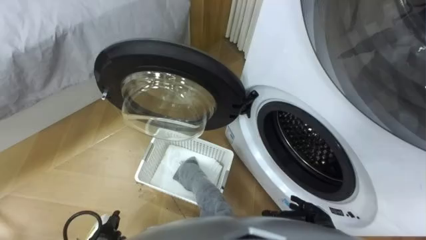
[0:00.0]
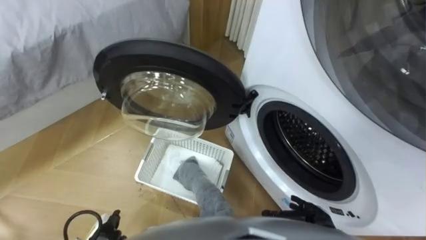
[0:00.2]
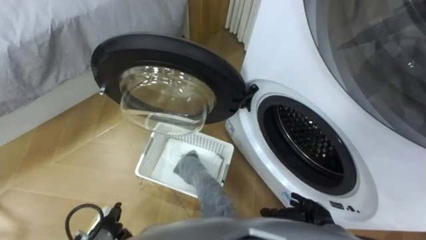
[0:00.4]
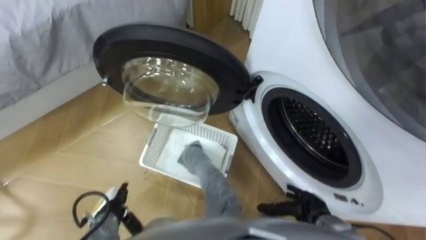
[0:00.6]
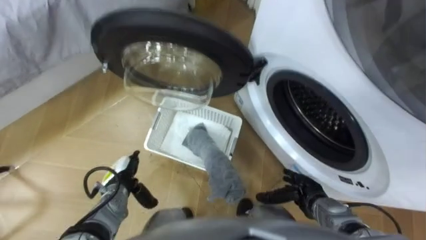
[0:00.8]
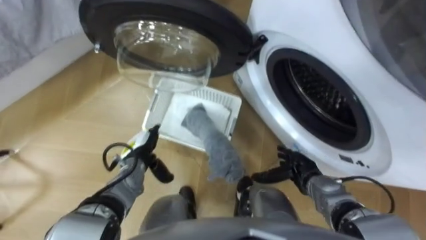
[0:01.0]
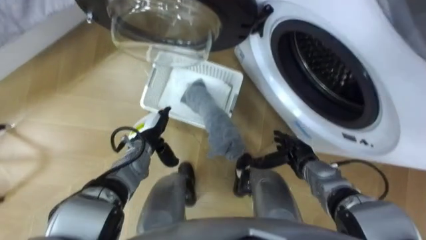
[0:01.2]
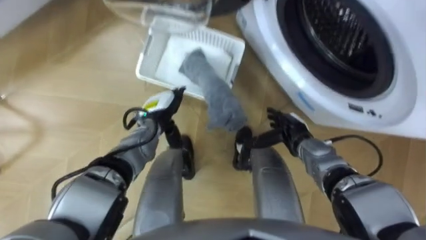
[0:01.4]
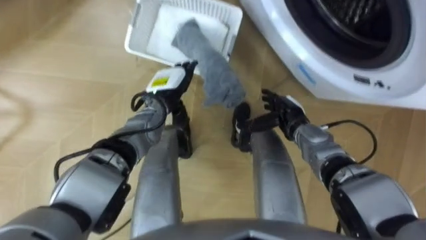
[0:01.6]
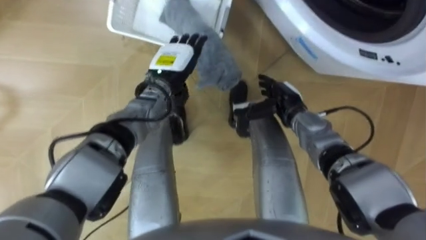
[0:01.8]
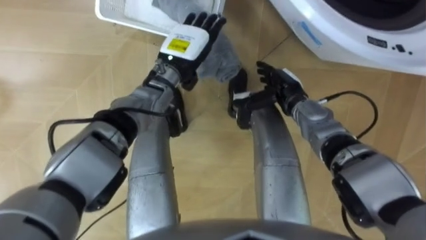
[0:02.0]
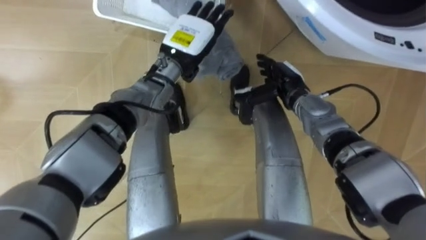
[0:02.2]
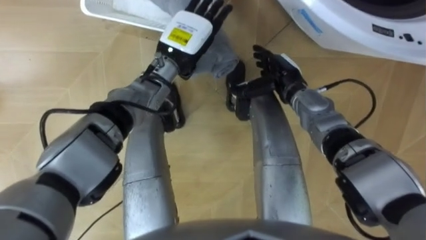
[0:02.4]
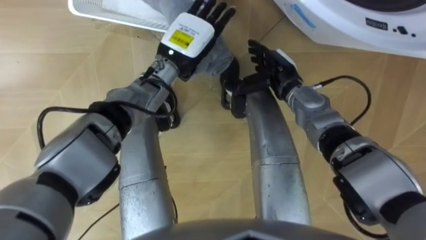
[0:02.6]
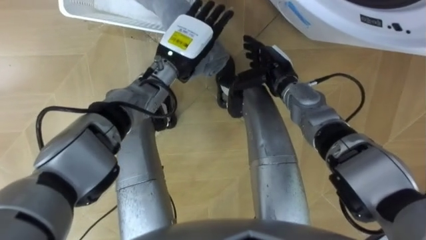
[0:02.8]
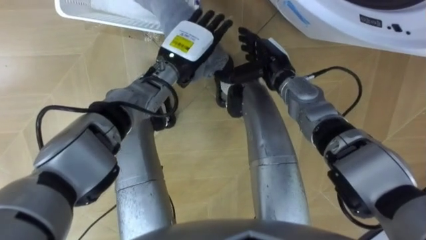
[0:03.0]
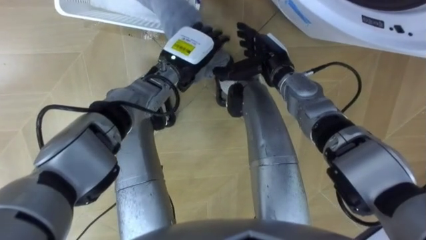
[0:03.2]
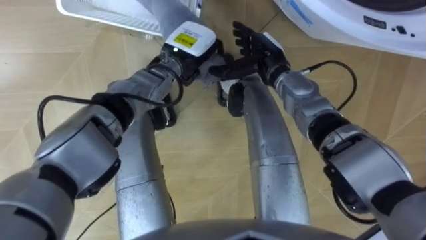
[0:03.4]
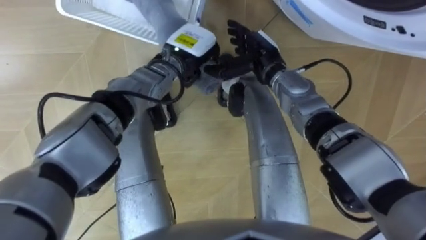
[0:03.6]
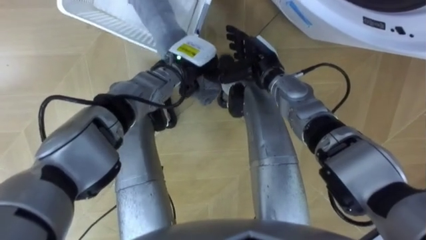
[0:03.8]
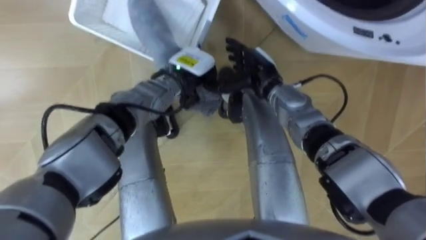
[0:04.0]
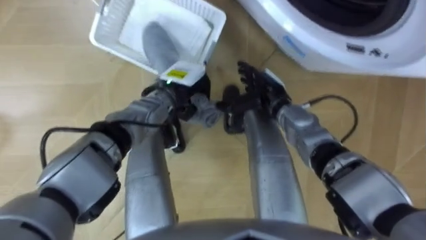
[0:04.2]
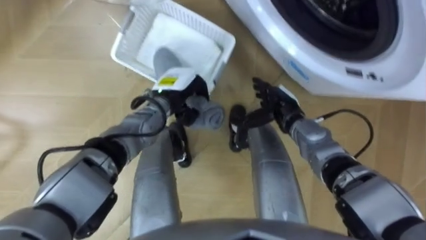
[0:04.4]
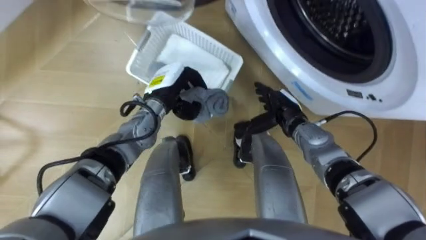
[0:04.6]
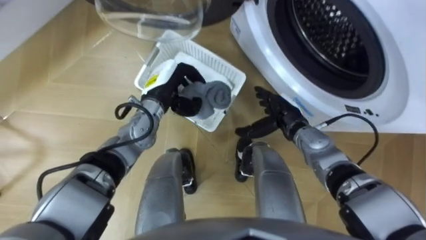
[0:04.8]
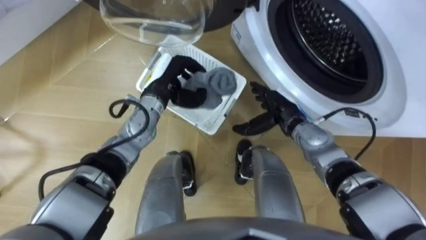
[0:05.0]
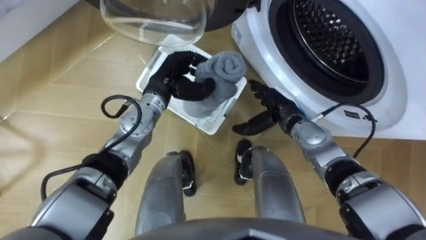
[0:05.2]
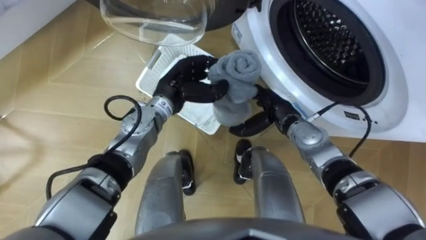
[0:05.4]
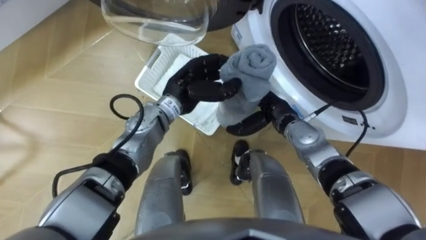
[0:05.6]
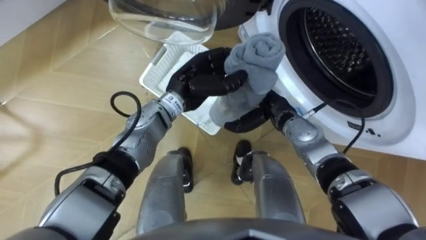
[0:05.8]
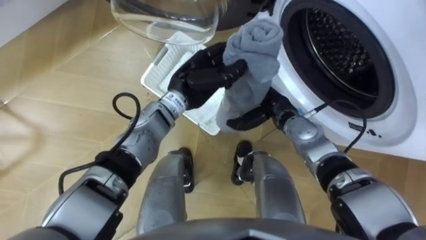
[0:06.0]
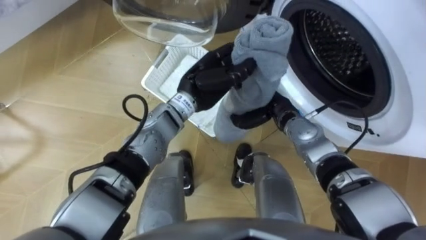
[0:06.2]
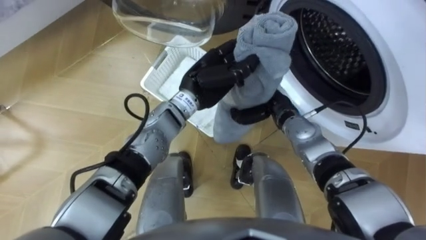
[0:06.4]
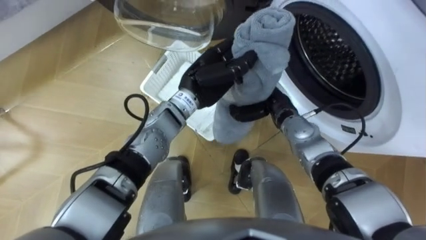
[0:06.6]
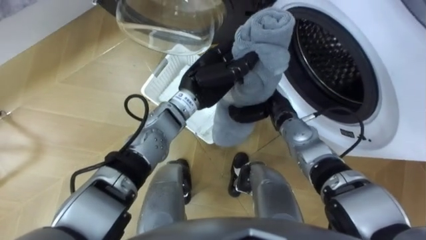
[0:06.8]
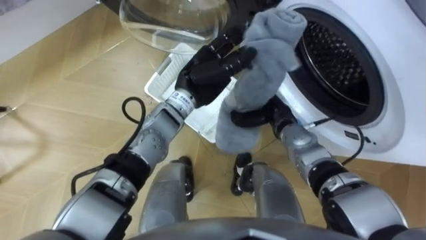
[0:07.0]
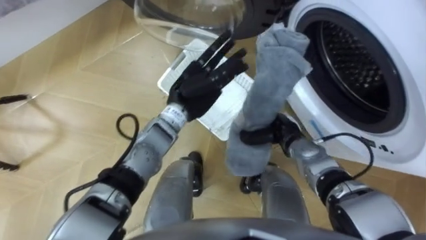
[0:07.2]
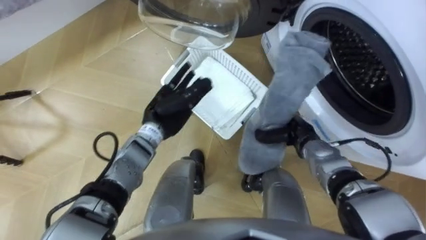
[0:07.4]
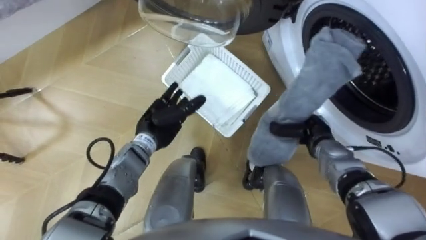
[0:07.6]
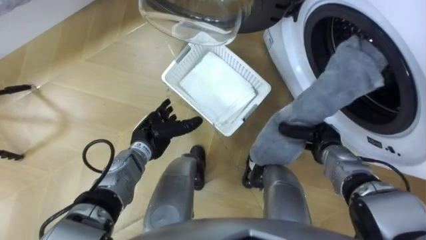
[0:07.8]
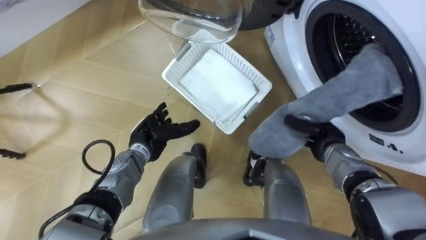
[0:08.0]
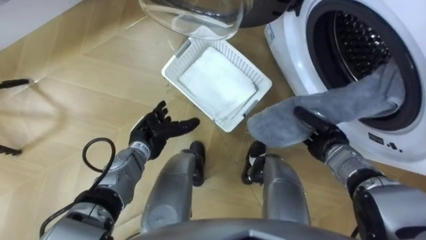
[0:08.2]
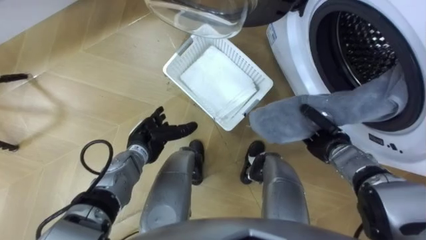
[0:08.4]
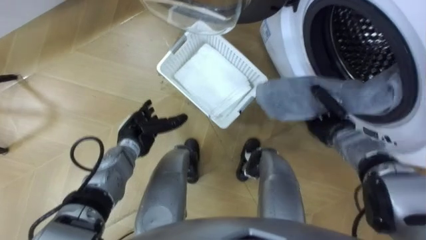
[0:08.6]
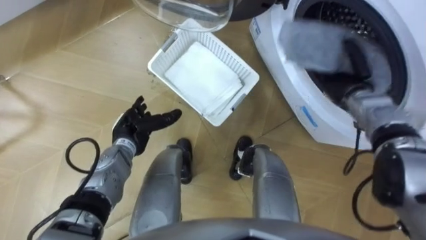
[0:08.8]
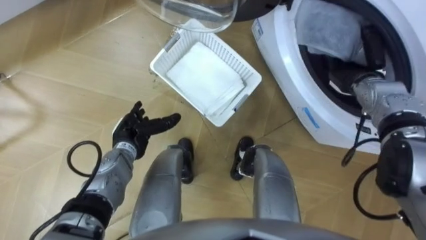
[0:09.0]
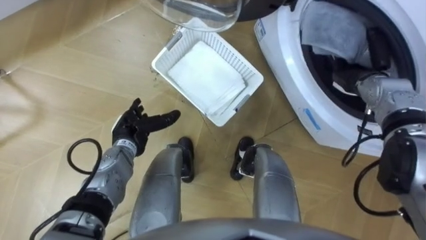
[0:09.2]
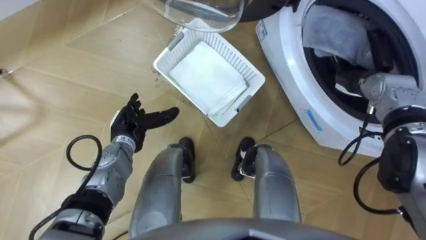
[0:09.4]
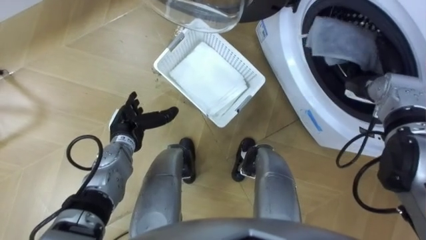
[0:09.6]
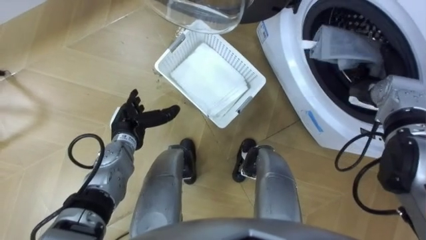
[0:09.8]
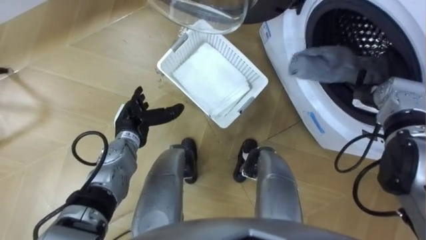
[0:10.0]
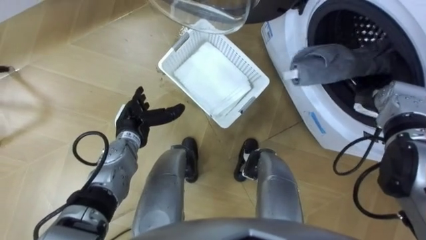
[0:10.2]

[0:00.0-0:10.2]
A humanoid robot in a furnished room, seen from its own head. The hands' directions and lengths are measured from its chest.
Task of the whole recording: Take the towel from the basket and put it into the washing machine.
0:01.4 to 0:03.0: The left hand is displaced upward, forward and to the right by approximately 15 cm. The right hand heads upward, forward and to the left, covering about 15 cm.
0:03.0 to 0:04.4: The right hand goes about 10 cm downward and backward, while the left hand shifts approximately 5 cm downward, and closes up.
0:04.4 to 0:05.8: The left hand moves upward, roughly 5 cm.
0:05.8 to 0:07.2: The right hand shifts approximately 5 cm downward, and closes its fingers. Meanwhile the left hand opens up.
0:07.2 to 0:08.8: The left hand shifts about 15 cm to the left and downward, while the right hand shifts about 15 cm to the right, forward and upward.
0:08.8 to 0:10.2: The right hand shifts approximately 5 cm to the right, and opens up.

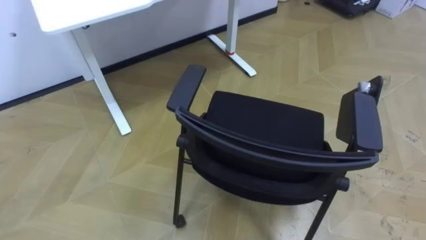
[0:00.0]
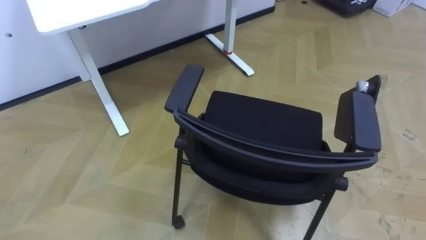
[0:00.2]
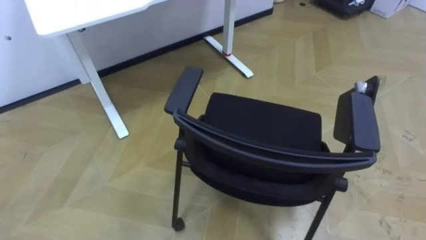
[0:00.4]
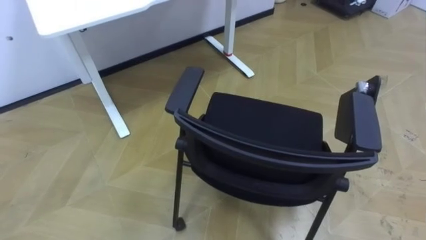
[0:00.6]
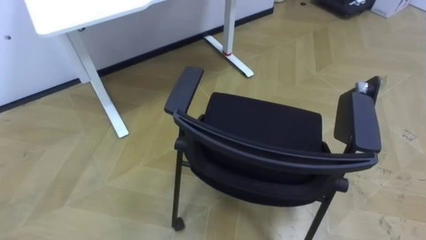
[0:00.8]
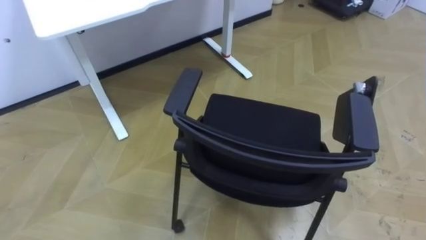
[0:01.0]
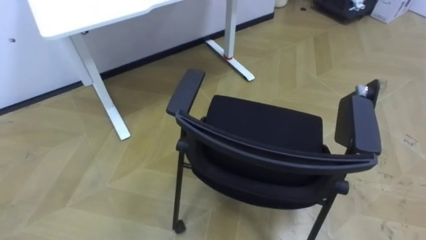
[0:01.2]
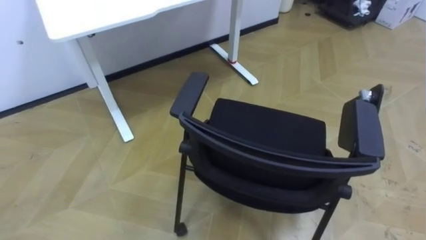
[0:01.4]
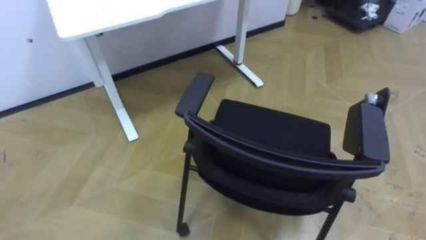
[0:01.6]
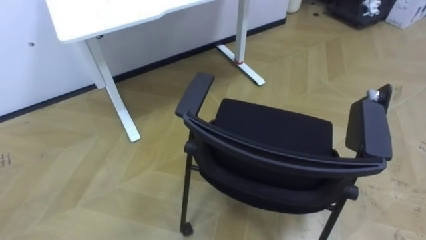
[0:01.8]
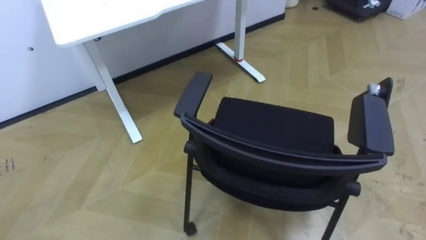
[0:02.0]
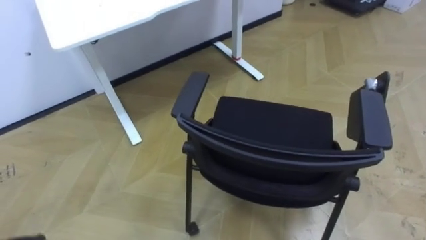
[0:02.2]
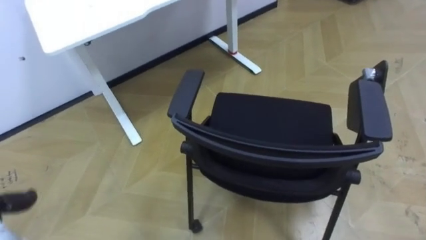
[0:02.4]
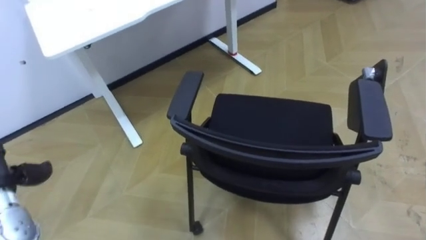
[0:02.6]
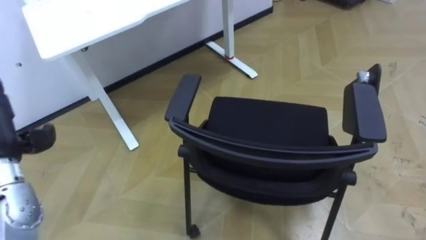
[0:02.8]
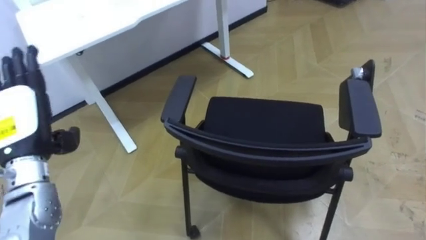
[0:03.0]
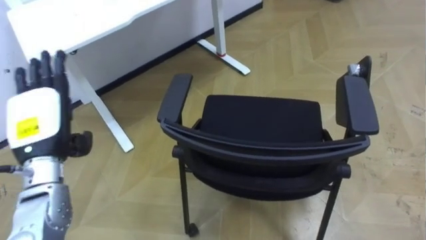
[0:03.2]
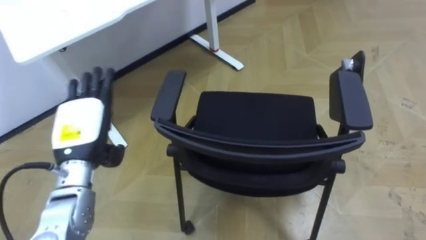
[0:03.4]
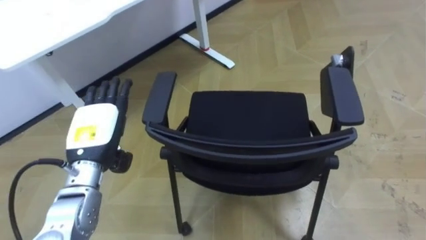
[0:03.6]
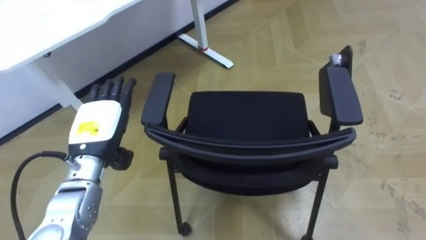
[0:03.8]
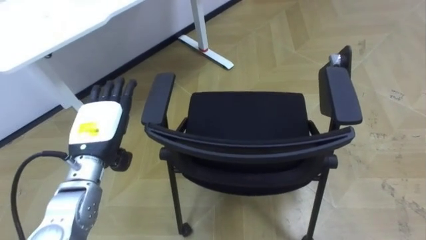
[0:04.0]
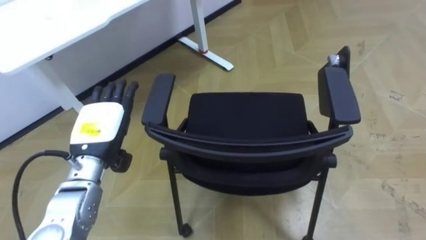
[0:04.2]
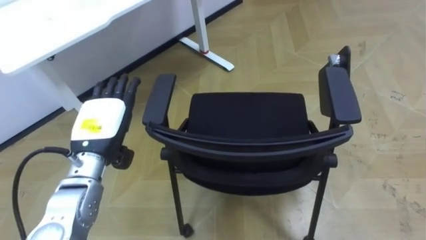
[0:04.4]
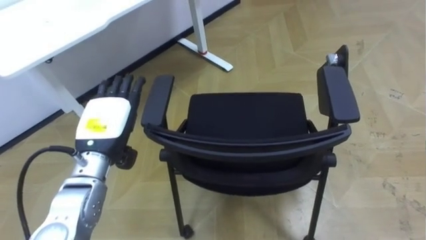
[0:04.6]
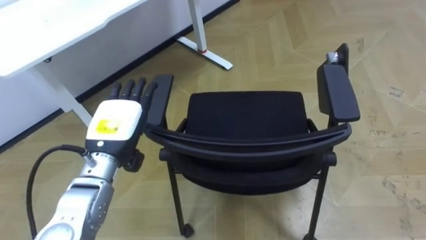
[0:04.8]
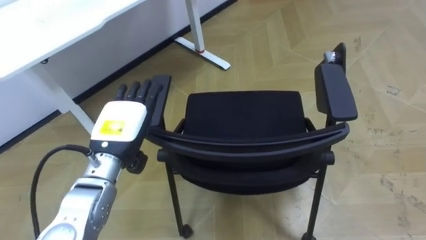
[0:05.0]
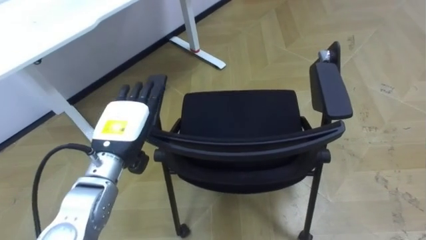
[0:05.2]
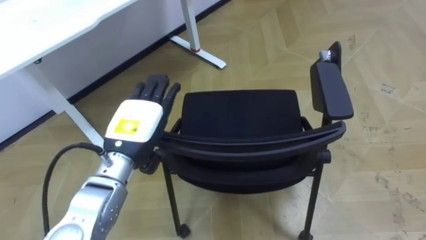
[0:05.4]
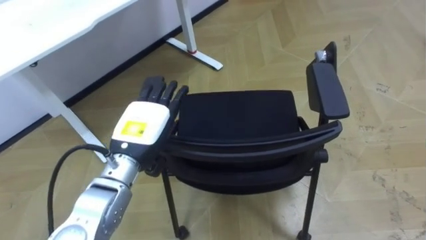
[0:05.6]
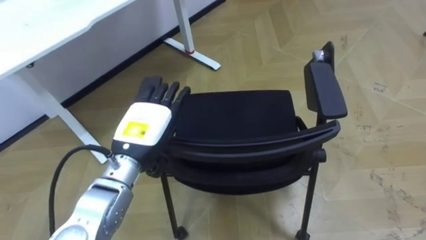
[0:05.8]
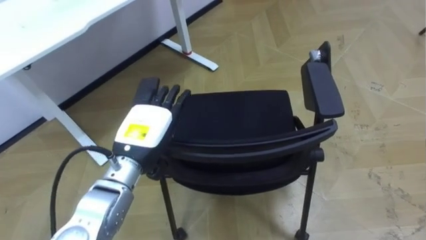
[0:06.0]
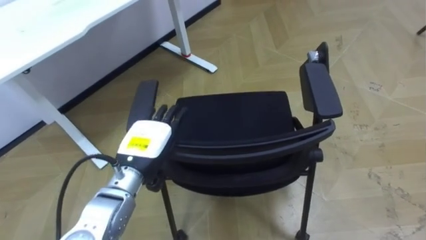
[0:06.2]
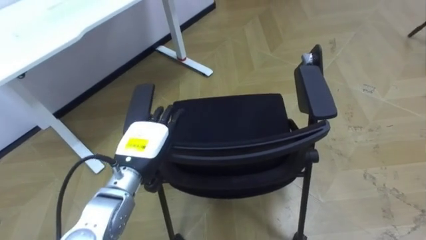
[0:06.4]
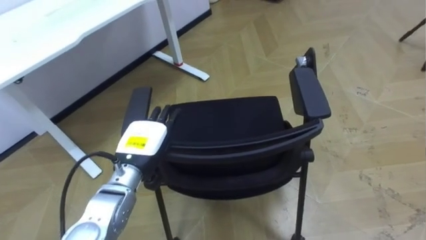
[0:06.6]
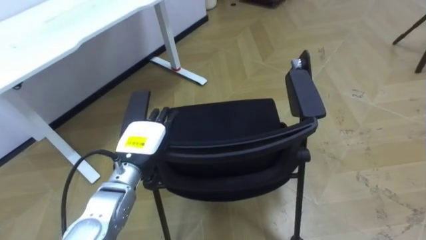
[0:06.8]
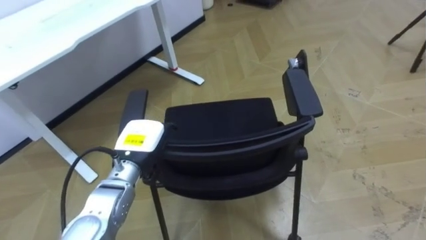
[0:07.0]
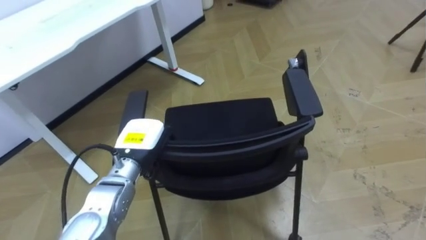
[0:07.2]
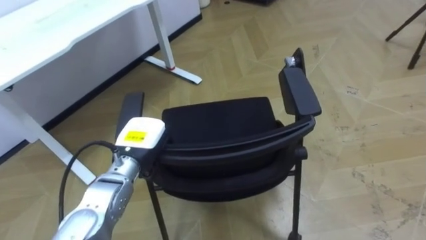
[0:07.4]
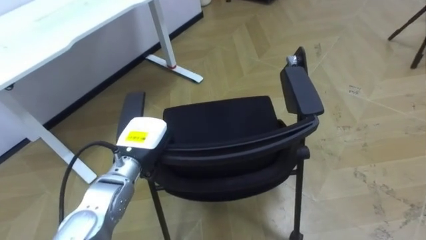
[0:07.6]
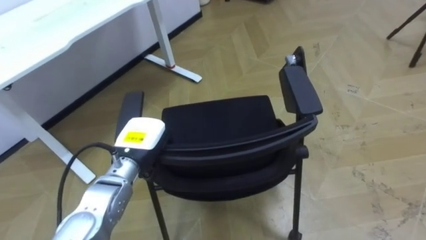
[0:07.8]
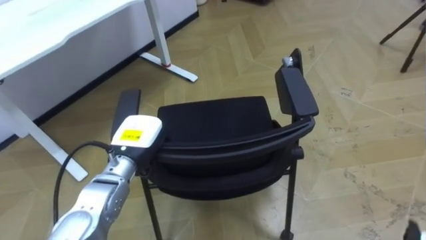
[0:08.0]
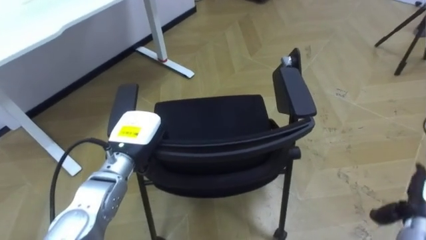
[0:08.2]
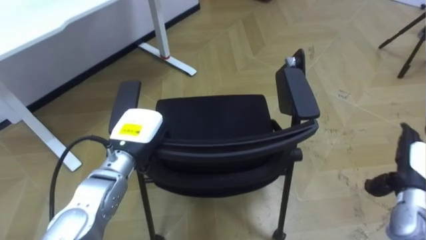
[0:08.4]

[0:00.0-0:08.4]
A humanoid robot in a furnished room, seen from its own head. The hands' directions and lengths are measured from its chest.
Task of the whole recording: Push the chair under the table.
0:04.2 to 0:05.6: The left hand heads to the right, covering roughly 10 cm.
0:05.6 to 0:07.0: The left hand heads downward, covering approximately 5 cm.
0:07.0 to 0:08.4: The left hand closes its fingers.
